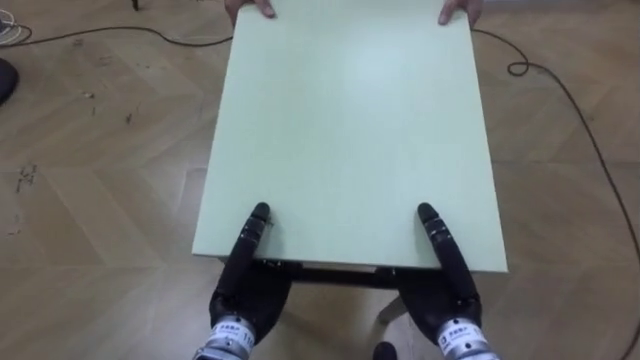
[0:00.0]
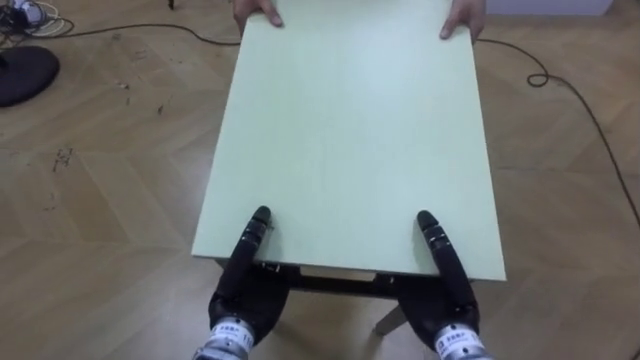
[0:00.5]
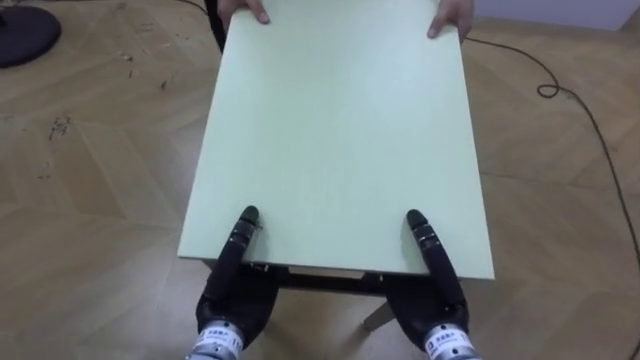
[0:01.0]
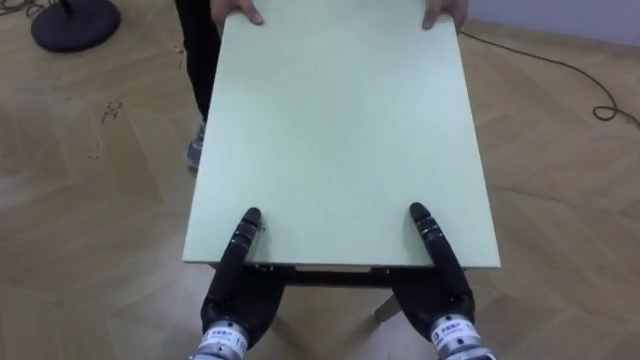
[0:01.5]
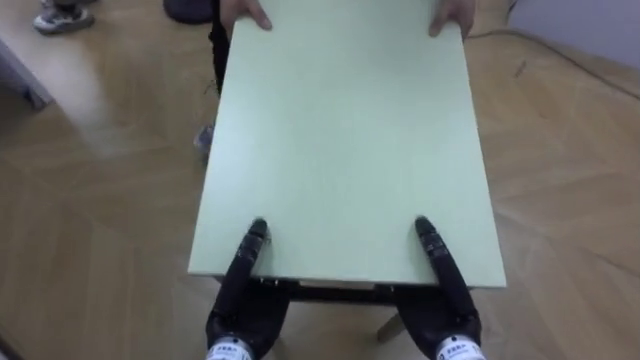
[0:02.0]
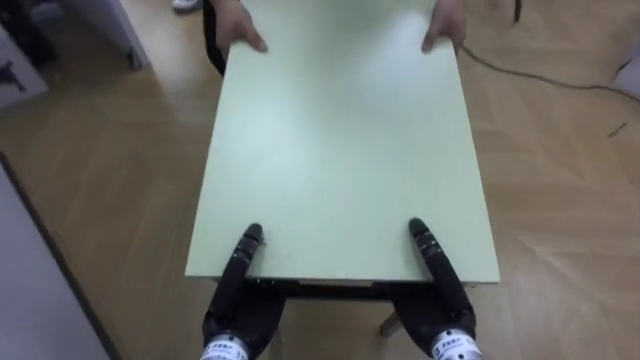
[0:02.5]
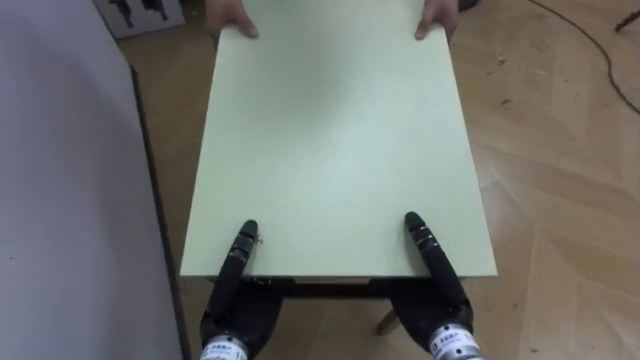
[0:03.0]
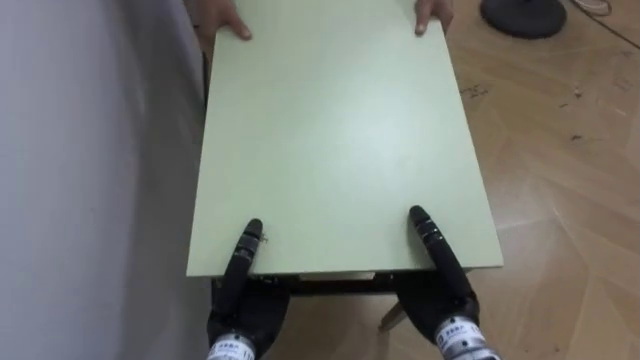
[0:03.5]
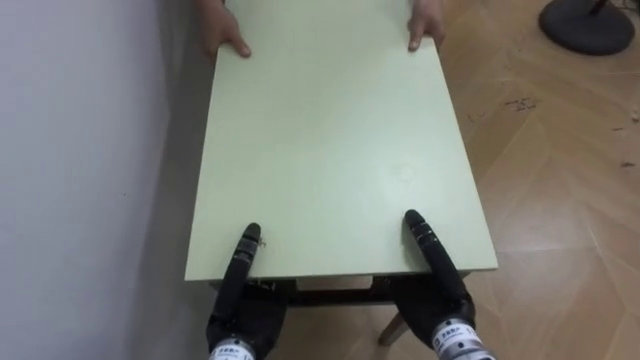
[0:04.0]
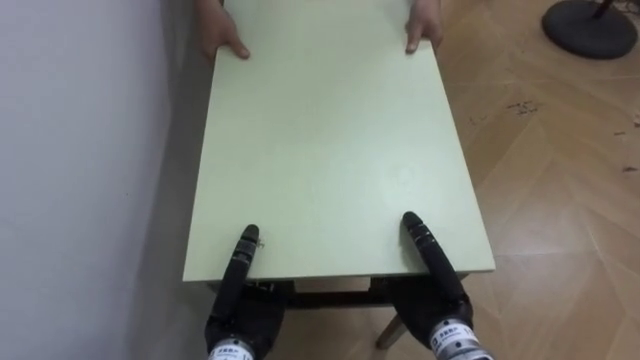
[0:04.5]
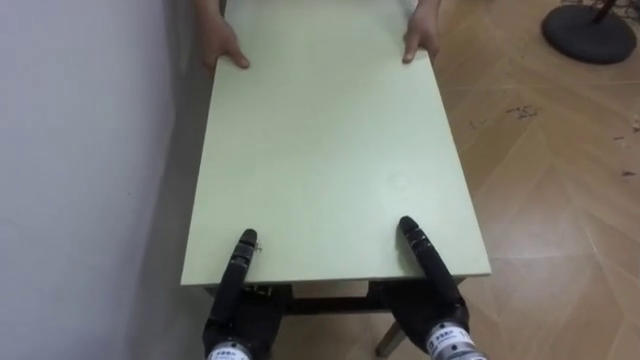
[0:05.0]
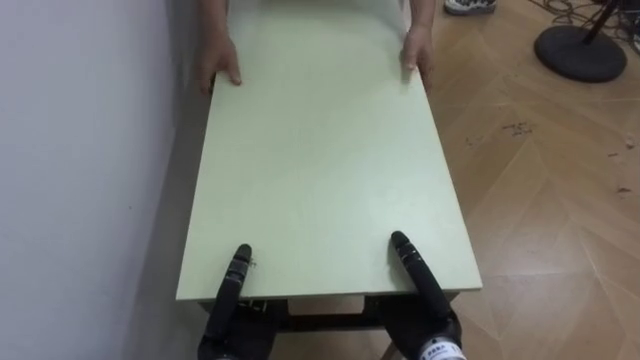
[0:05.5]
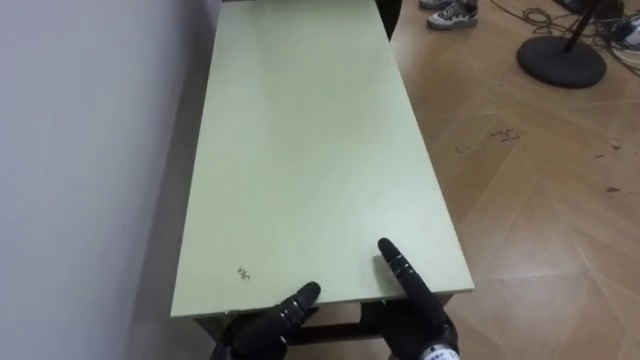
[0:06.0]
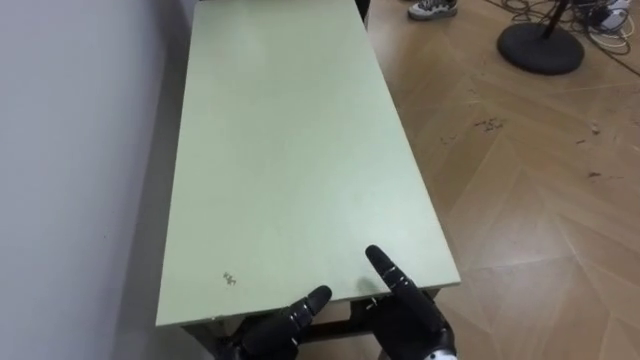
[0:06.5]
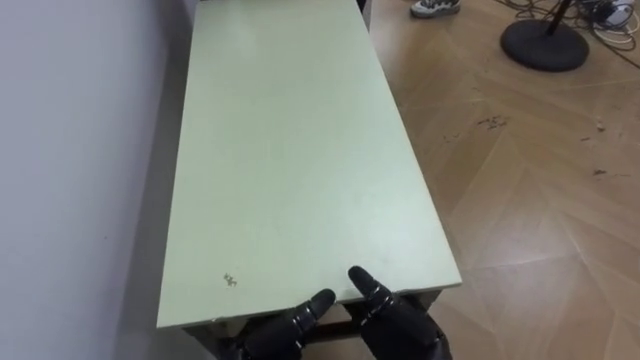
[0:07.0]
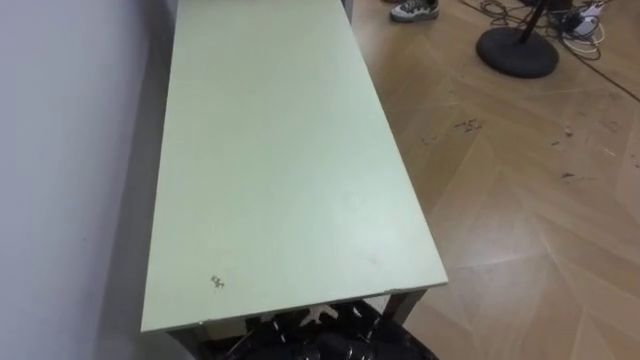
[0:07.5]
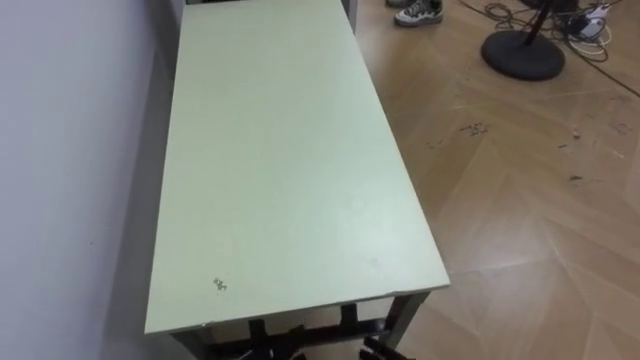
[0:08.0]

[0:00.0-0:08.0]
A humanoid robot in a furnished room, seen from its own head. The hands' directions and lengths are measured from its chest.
Task of the whole recording: Move the table to the back left with someone.
0:00.0 to 0:02.0: The robot faces approximately 30 degrees further to its left.
0:02.0 to 0:04.0: The robot's body swings about 50 degrees to its left.
0:04.0 to 0:06.0: The left hand ends up about 5 cm from where it was, and opens its fingers.

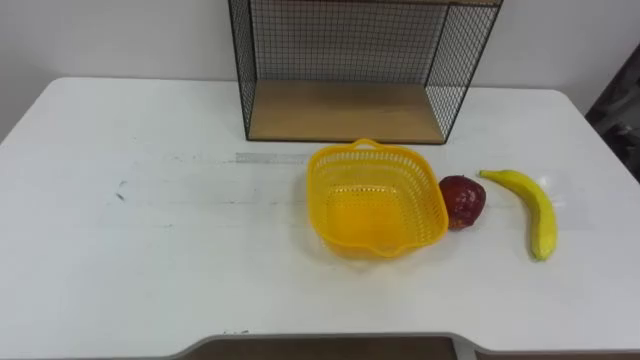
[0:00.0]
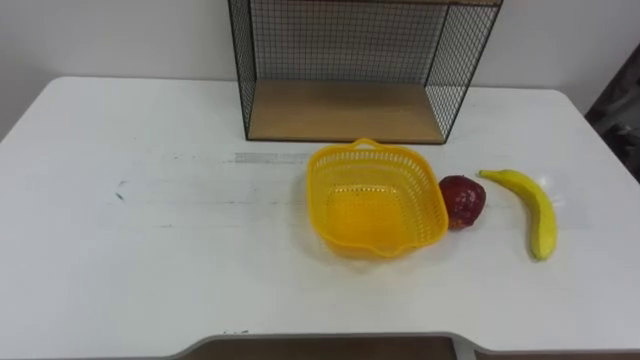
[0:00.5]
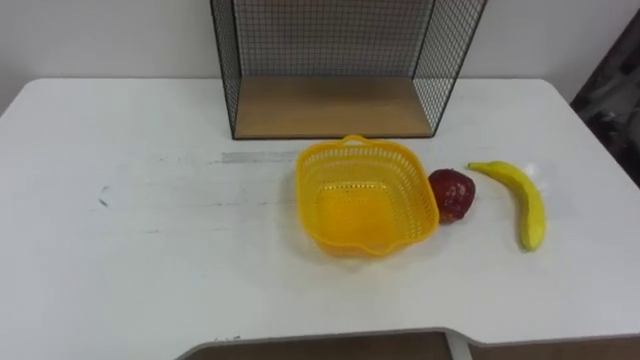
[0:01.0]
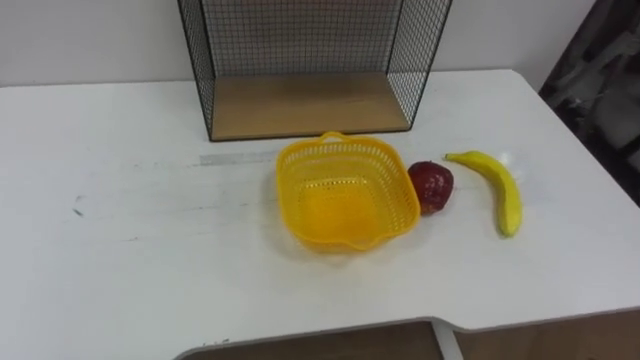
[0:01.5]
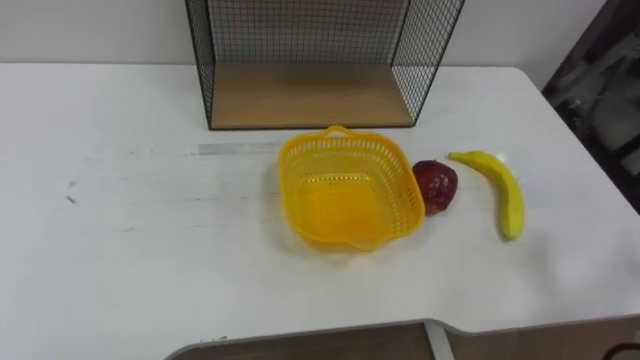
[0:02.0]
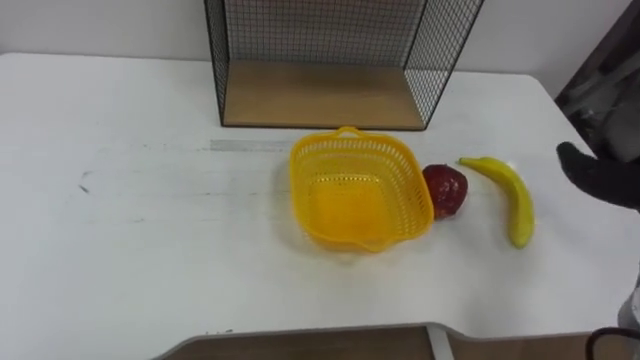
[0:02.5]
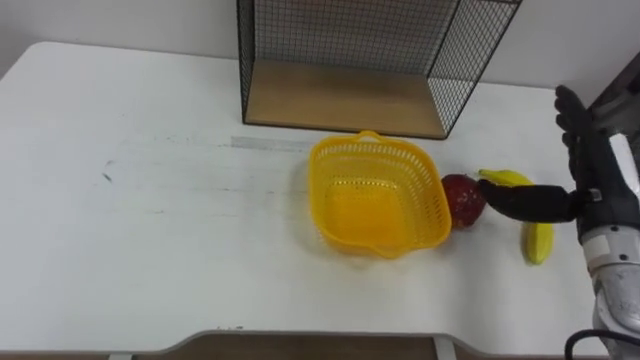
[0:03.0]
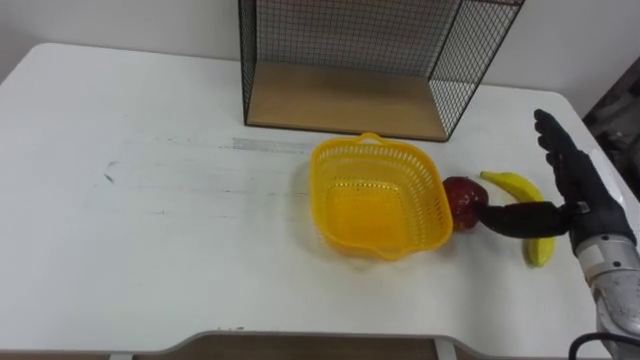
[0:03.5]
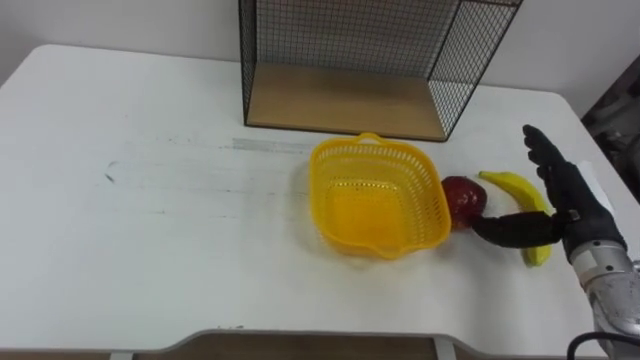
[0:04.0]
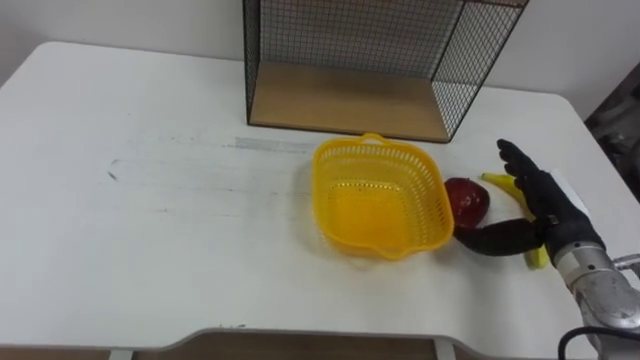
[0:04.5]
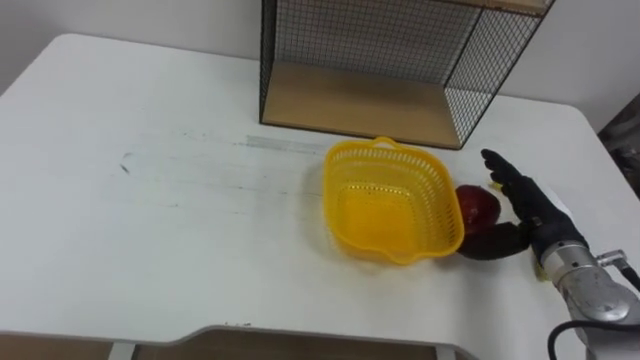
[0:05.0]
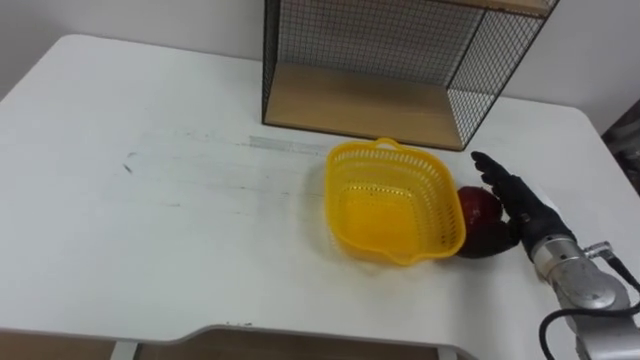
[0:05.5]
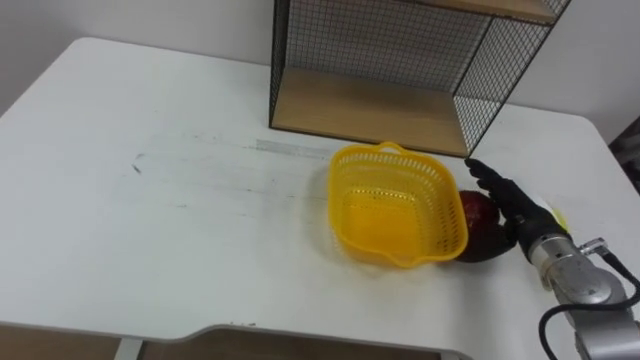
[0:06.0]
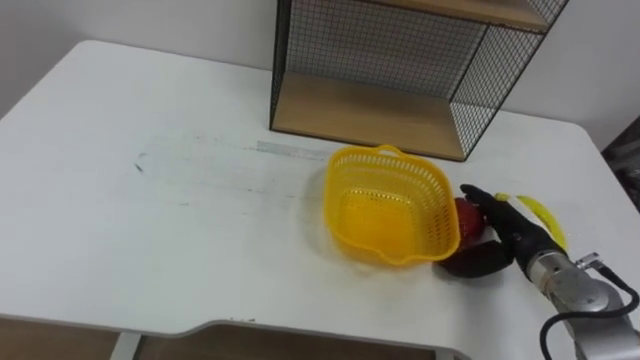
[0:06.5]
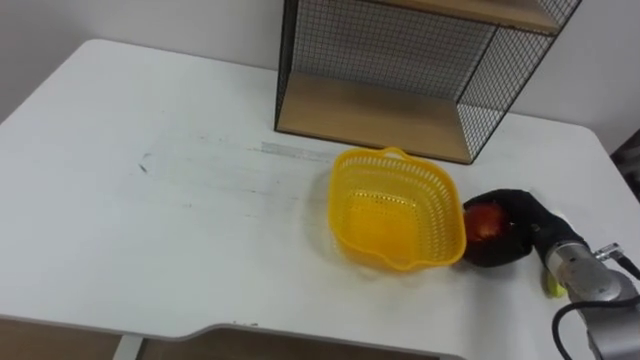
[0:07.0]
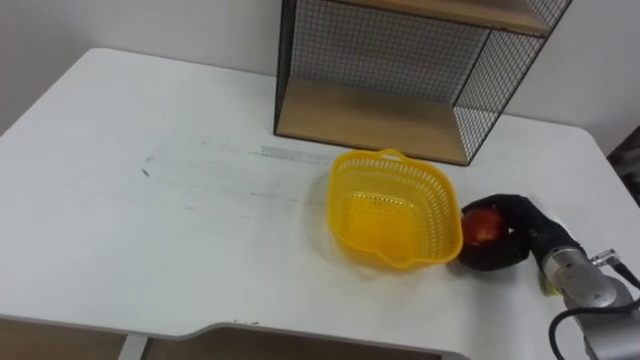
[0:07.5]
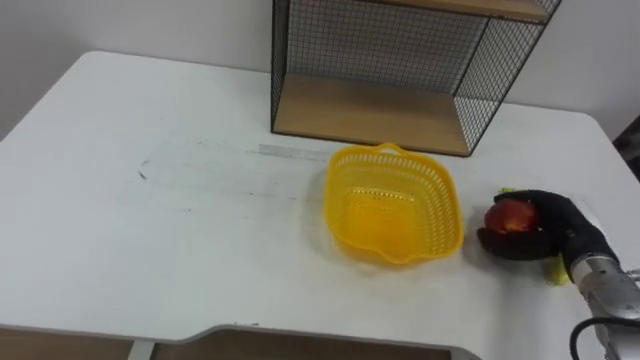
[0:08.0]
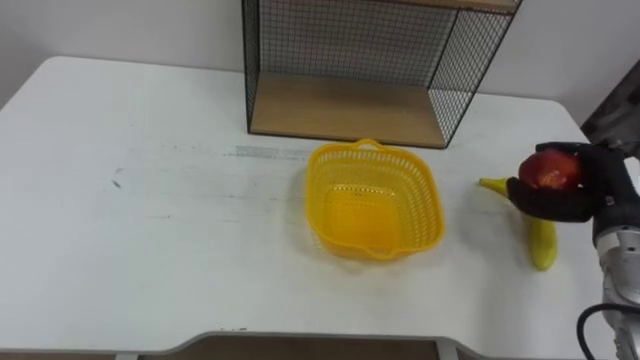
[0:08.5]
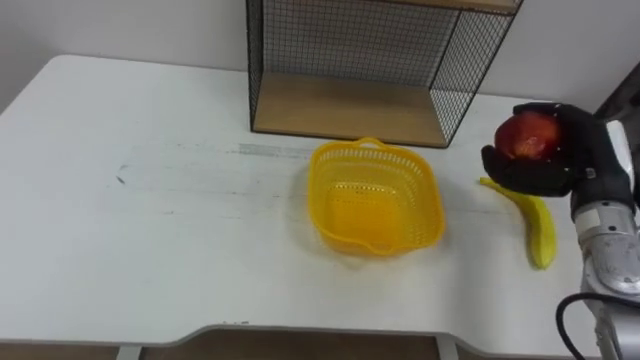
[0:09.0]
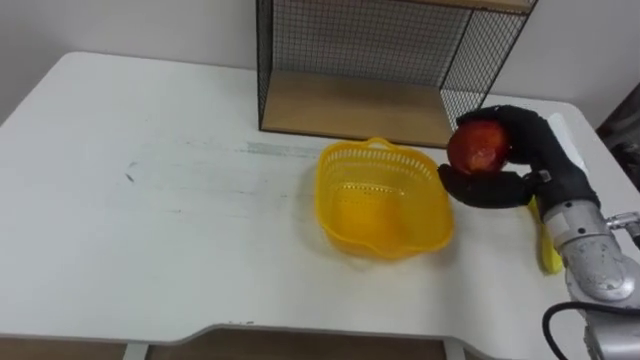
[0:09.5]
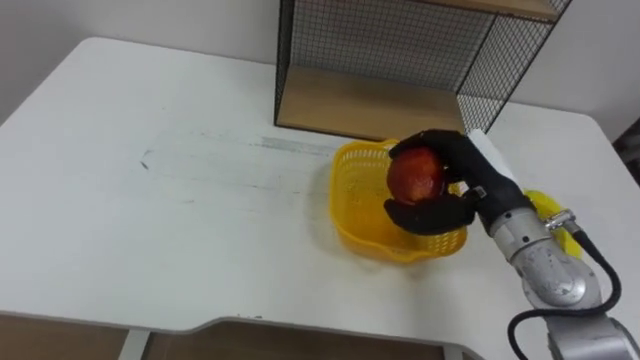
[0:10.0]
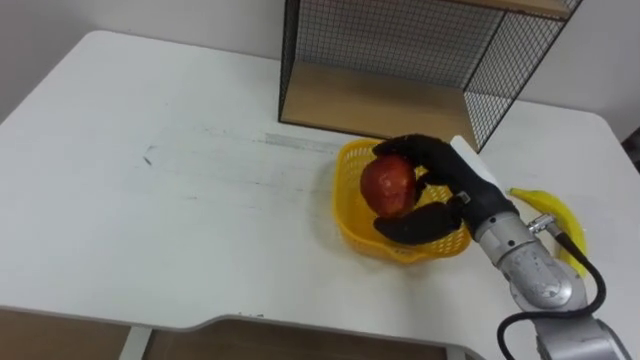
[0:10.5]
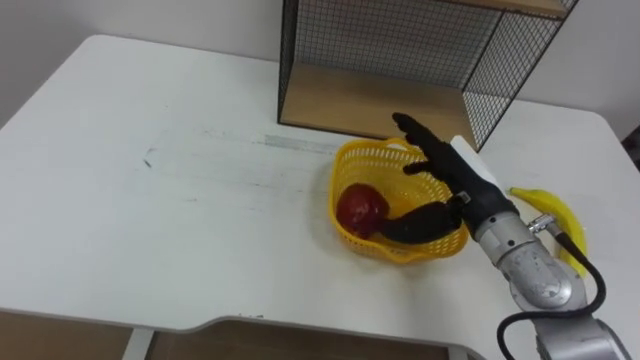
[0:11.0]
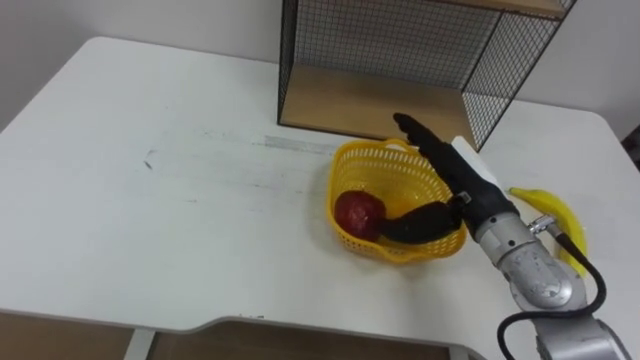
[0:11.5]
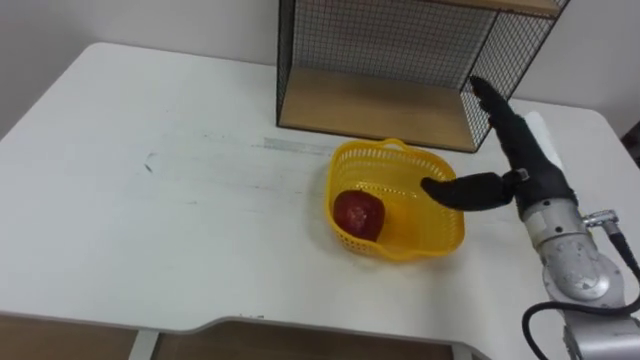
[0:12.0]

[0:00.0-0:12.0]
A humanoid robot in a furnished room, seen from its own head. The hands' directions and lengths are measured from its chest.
Task of the whole recording: Put the fruit on the table into the basket, then place the basket on the shelf.
0:04.0 to 0:06.0: The right hand is displaced downward by approximately 5 cm.
0:06.0 to 0:08.0: The right hand moves to the right, about 5 cm, and closes.
0:08.0 to 0:10.0: The right hand shifts some 15 cm to the left and upward.
0:10.0 to 0:12.0: The right hand opens.
